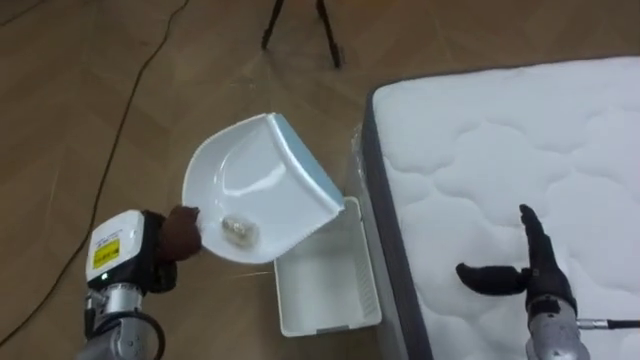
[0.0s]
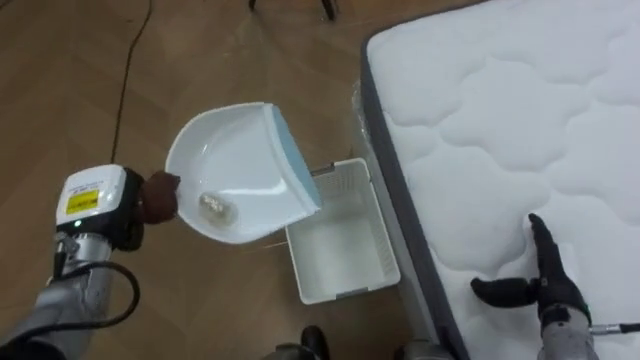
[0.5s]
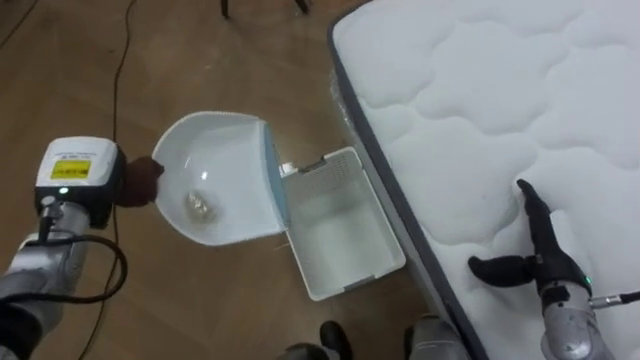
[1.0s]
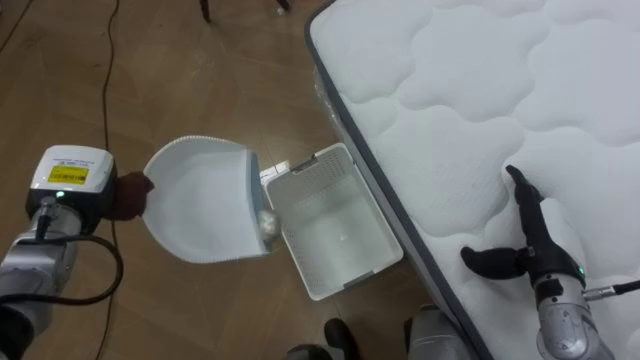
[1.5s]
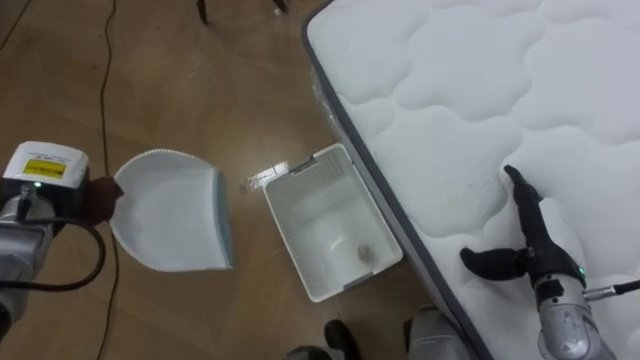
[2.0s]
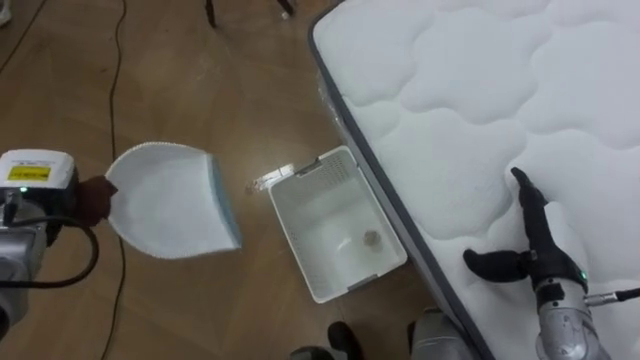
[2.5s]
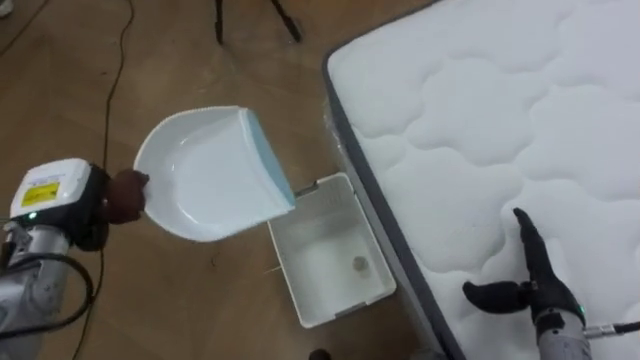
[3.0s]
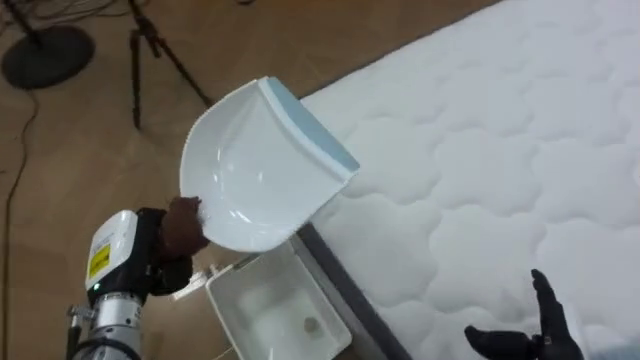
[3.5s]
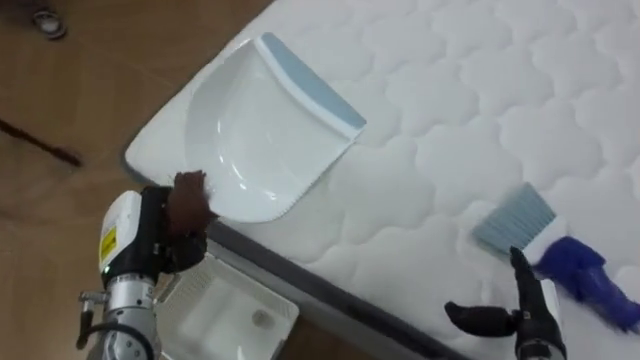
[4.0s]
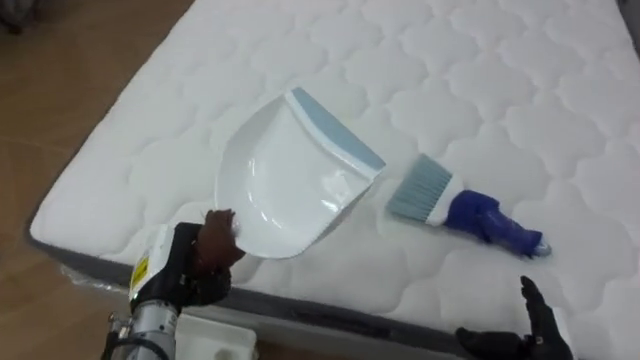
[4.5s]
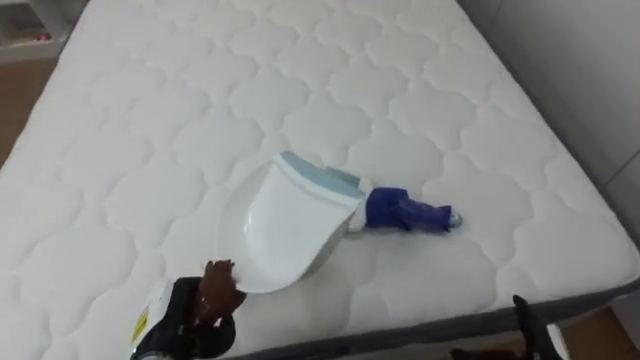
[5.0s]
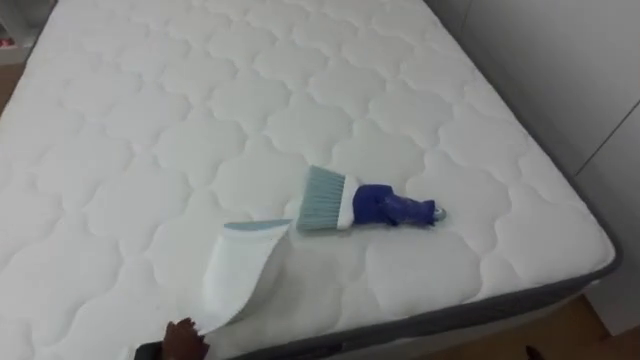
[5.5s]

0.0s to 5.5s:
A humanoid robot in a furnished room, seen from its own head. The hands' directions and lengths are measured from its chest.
Task of the whole recording: Pick up the brush on your right and the dustpan on your left. Use the brush to sweep the crumpled paper on the bed into the dustpan, then turn left and empty it into the basket.
0.0s to 2.0s: The left hand goes about 15 cm to the left, forward and upward.
2.0s to 3.5s: The left hand moves to the right and backward, some 15 cm. The right hand travels backward and downward by about 15 cm.
3.5s to 5.5s: The robot's body swings about 70 degrees to its right.

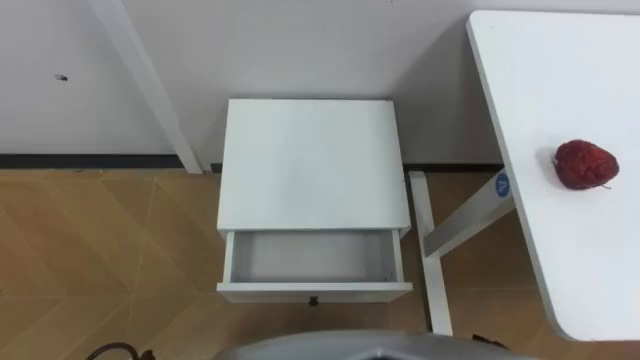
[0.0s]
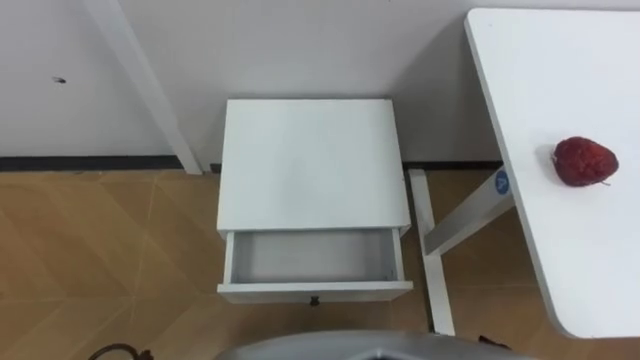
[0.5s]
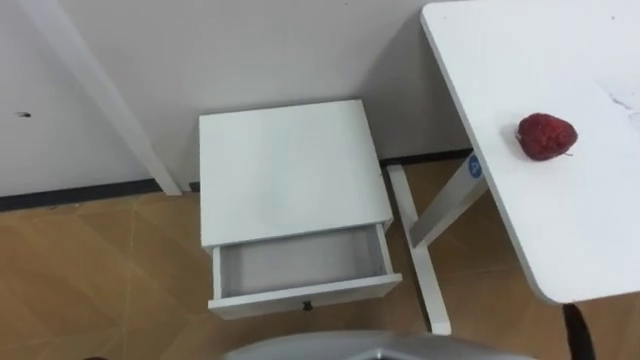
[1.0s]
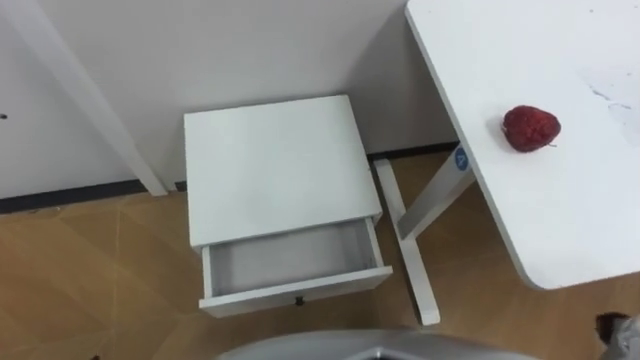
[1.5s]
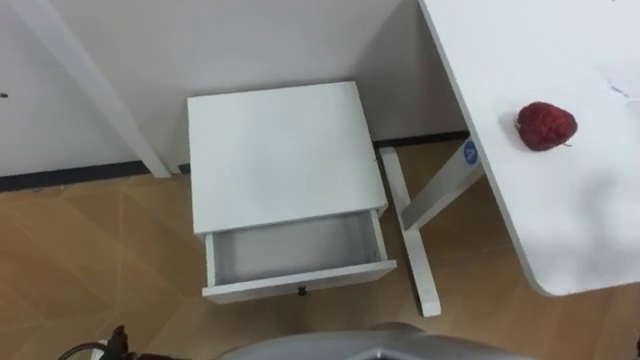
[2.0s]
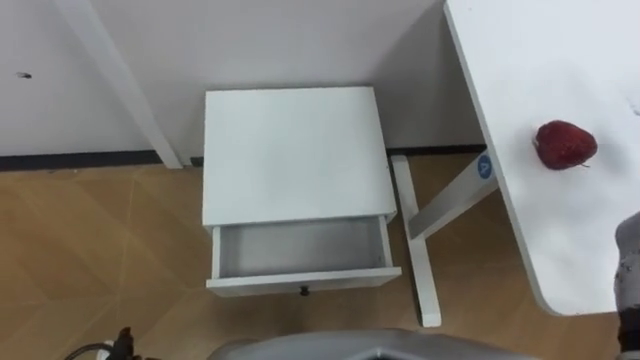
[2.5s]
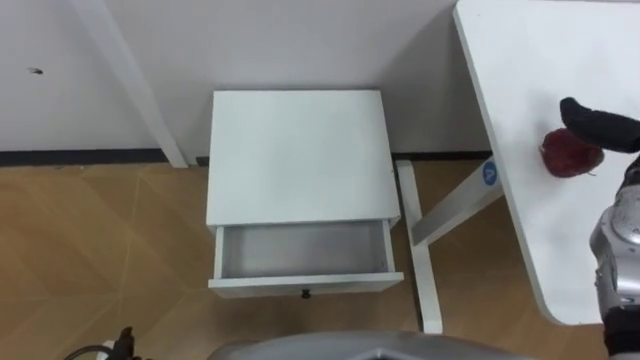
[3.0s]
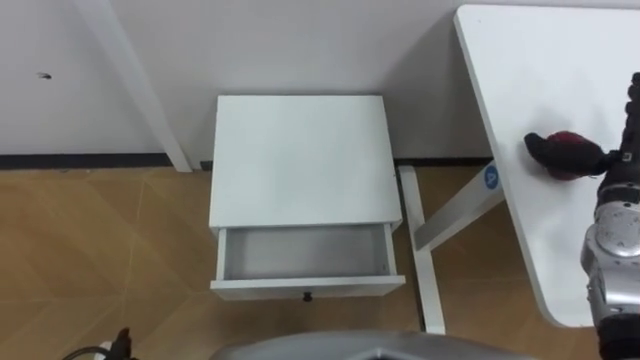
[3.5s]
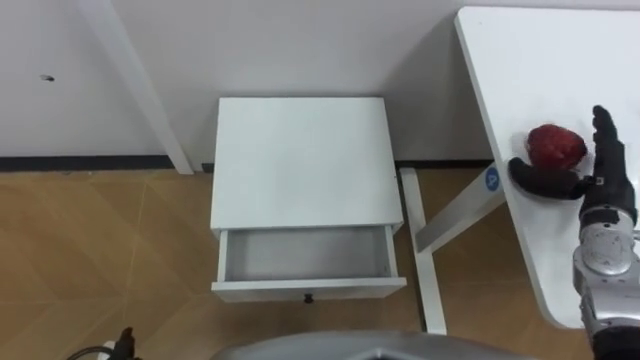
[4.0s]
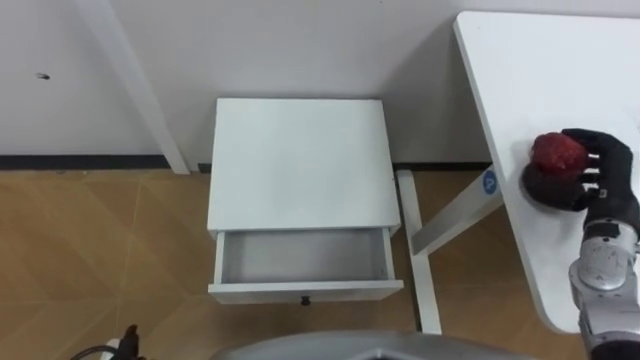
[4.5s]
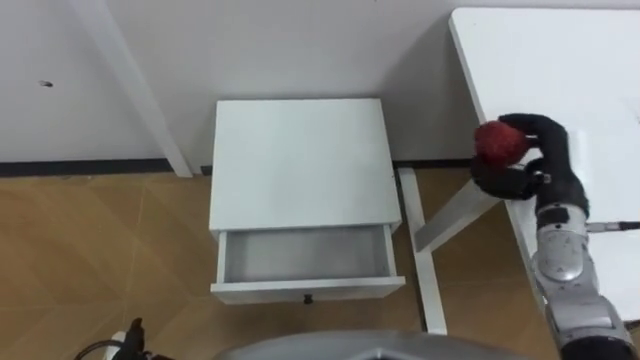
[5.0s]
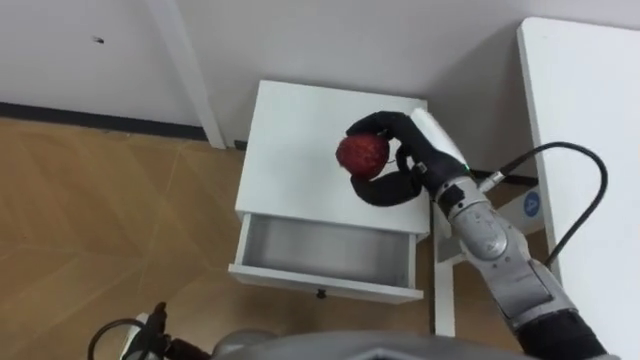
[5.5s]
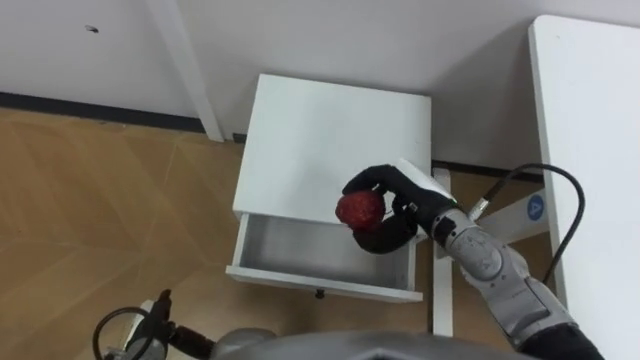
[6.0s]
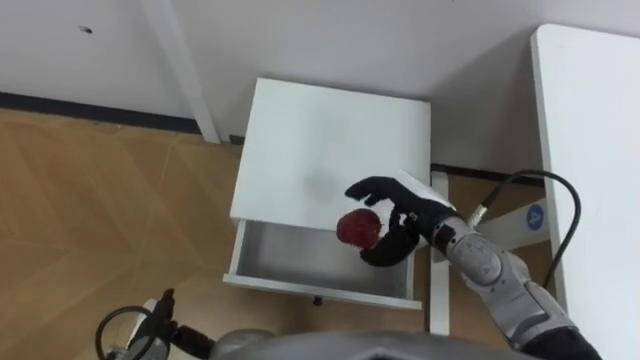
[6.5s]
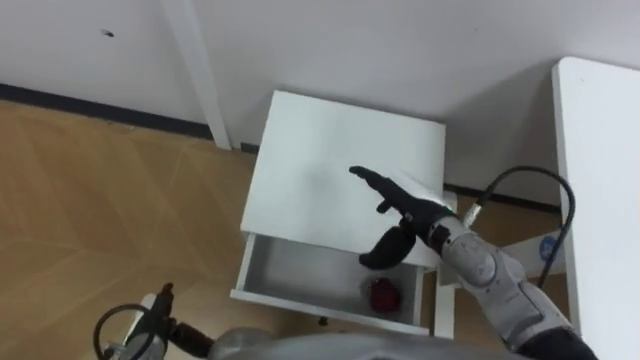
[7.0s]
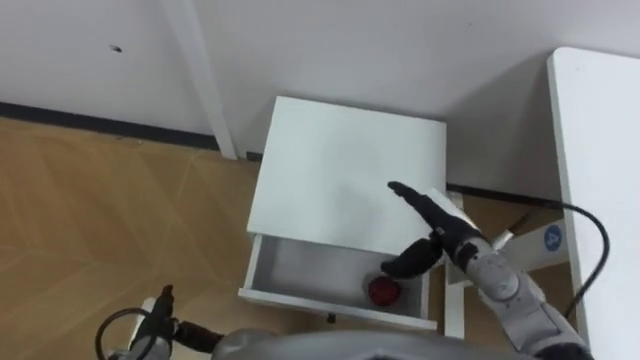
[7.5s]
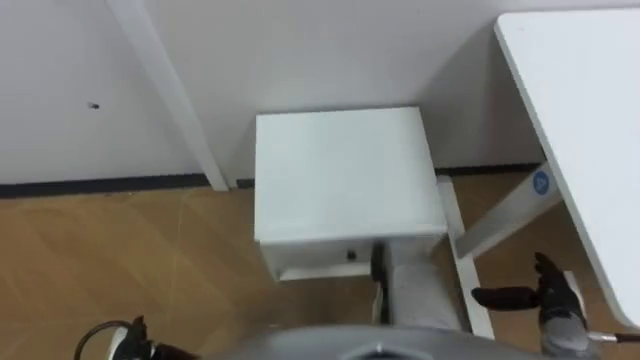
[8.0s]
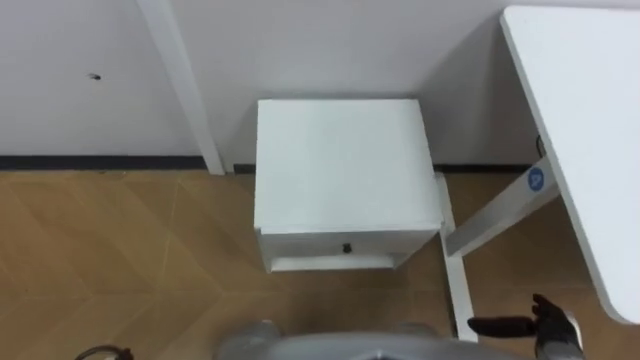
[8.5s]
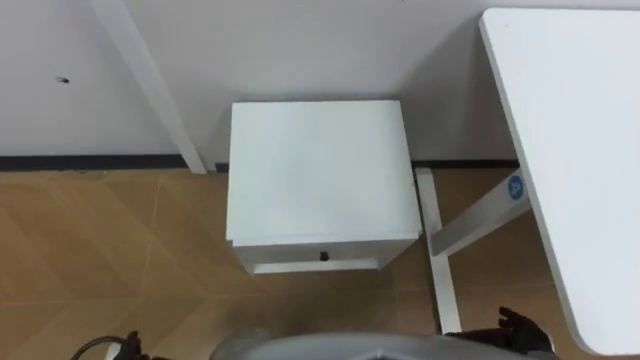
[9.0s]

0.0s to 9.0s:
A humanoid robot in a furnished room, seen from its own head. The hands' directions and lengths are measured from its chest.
Task of the whole recording: Pick up the apple from the table, put it in the drawer, and close the drawer with leg.
4.5s to 7.0s: The right hand is displaced to the left by about 25 cm, and opens up.
7.0s to 9.0s: The right hand is displaced backward, to the right and downward by approximately 30 cm.

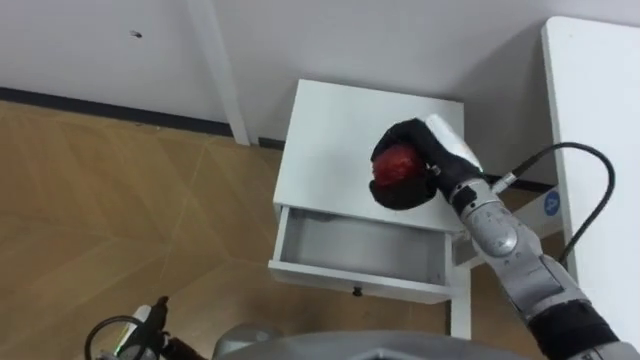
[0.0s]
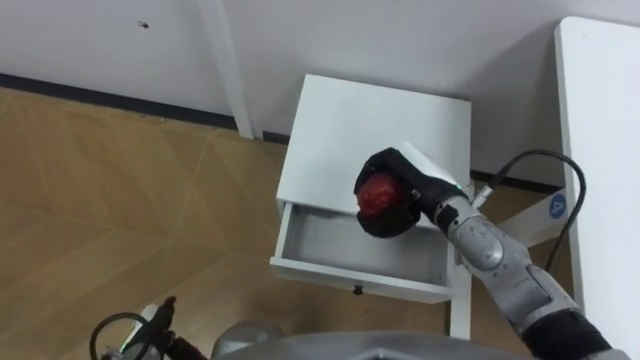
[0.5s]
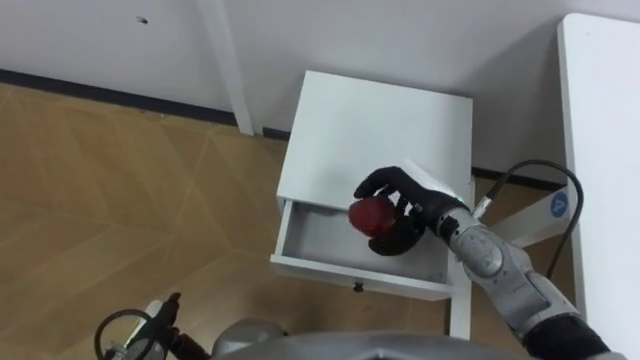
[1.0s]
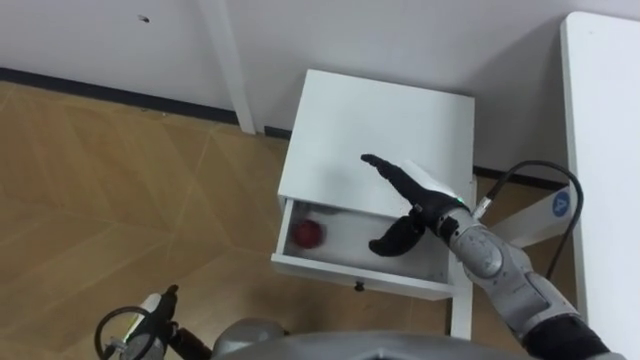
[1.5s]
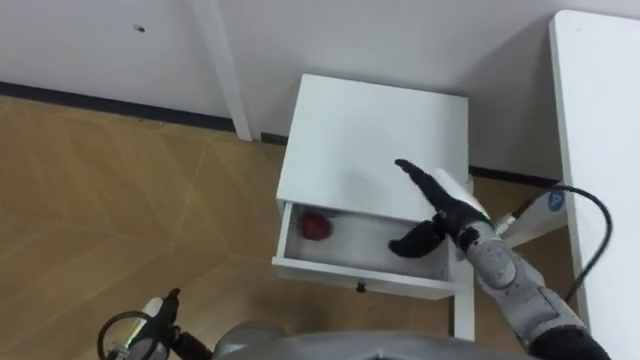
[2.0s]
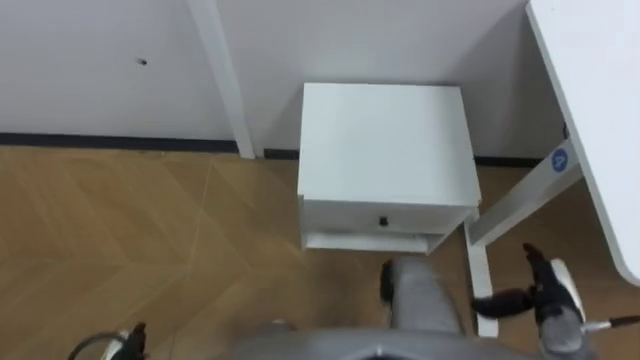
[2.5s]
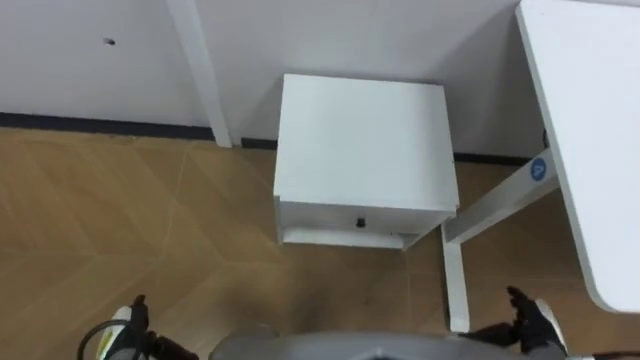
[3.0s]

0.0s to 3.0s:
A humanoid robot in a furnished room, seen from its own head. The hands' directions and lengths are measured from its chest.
Task of the whole recording: Pick up the apple from the table, put it in the drawer, and close the drawer with leg.
0.0s to 1.5s: The right hand ends up some 5 cm from where it was, and opens.
1.5s to 3.0s: The right hand travels backward, to the right and downward by roughly 25 cm.

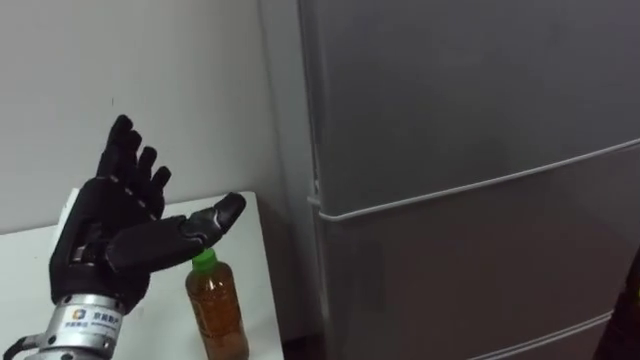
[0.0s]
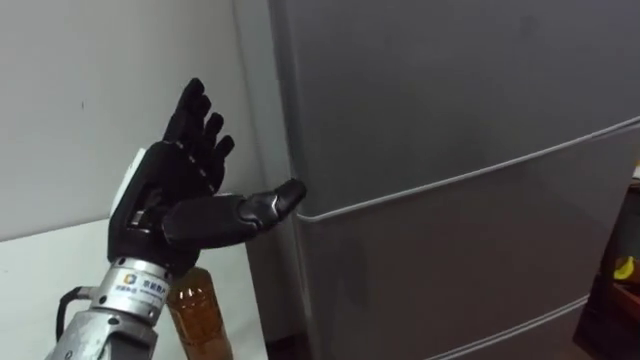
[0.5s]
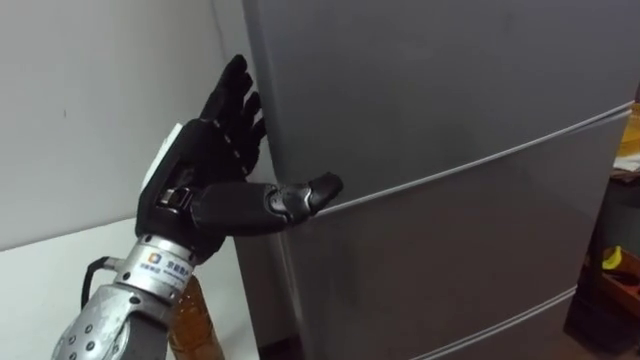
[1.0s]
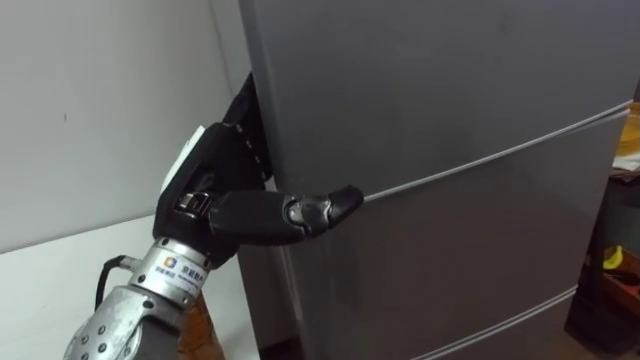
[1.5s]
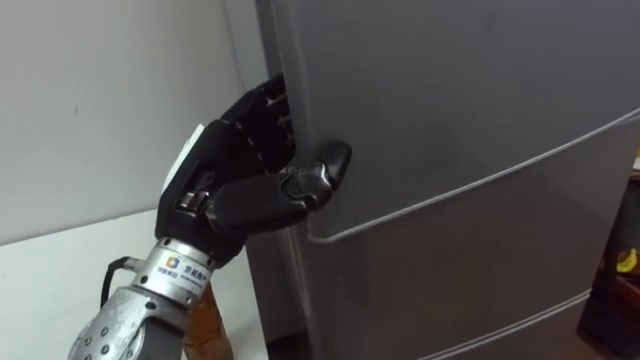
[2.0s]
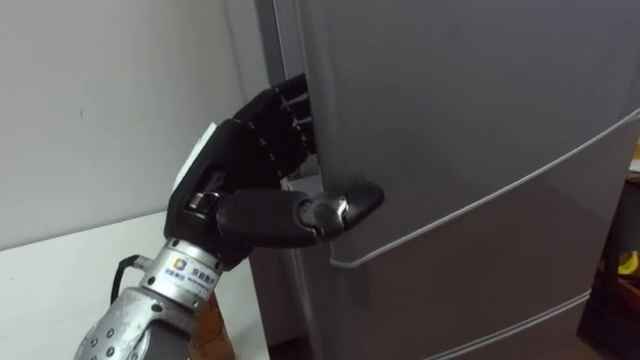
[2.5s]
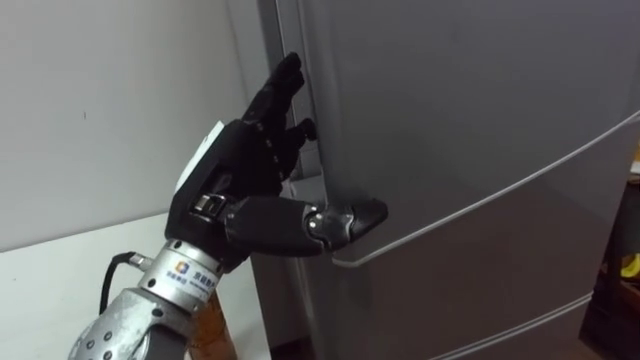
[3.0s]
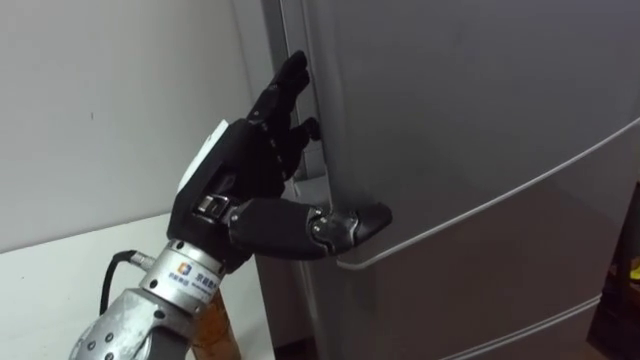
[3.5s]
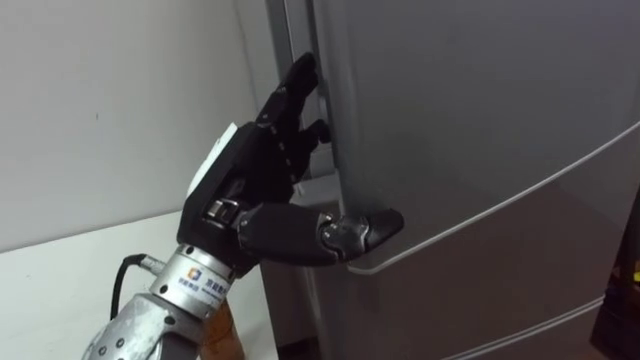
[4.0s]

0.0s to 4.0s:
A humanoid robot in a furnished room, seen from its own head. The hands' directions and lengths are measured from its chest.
Task of the whole recording: Open the upper refrigerator door, put the drink from the table into the refrigerator, and then close the refrigerator door.
0.0s to 2.0s: The left hand travels to the right and upward by approximately 10 cm, and closes.
2.0s to 4.0s: The left hand opens its fingers.
